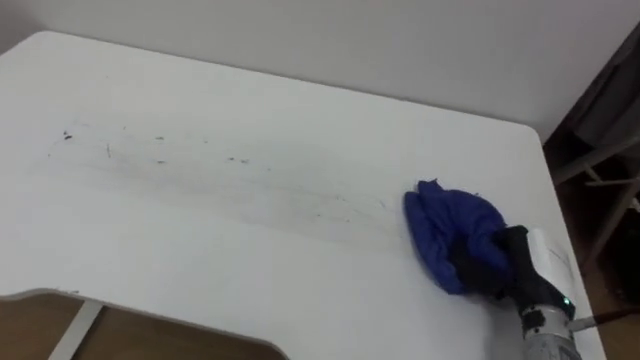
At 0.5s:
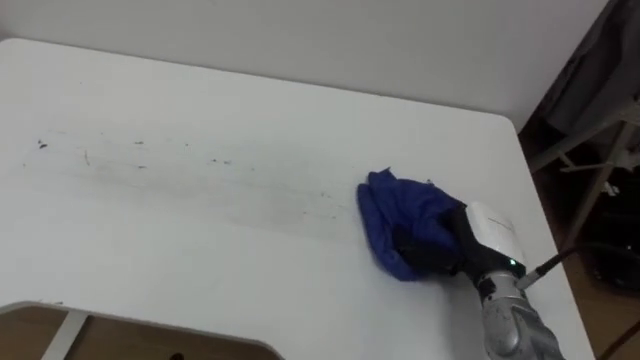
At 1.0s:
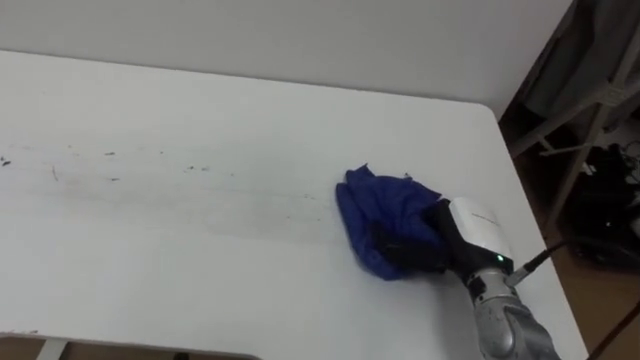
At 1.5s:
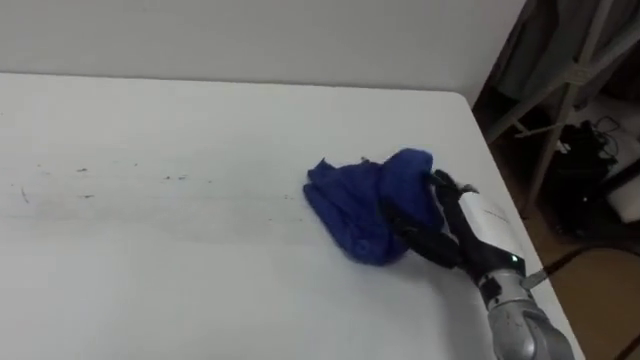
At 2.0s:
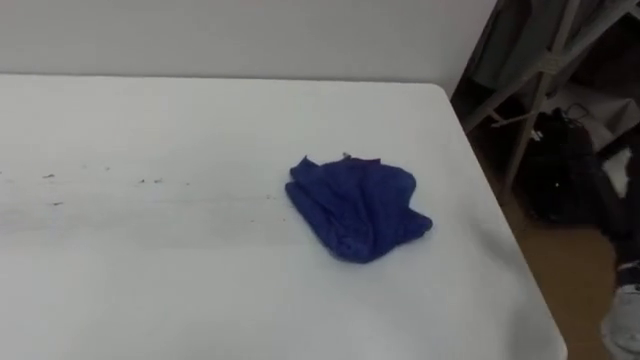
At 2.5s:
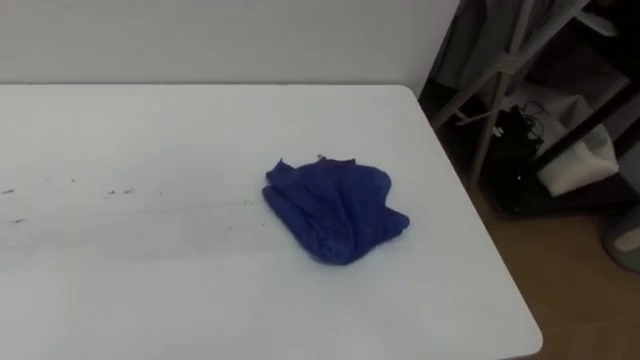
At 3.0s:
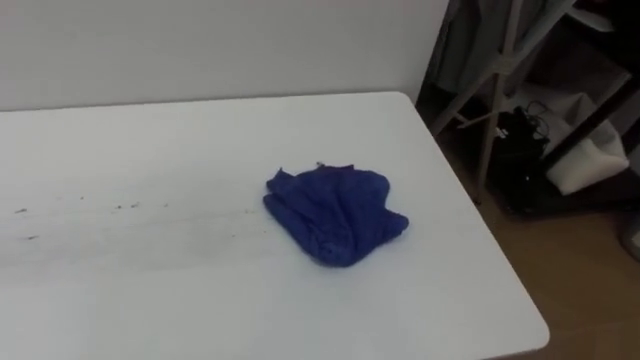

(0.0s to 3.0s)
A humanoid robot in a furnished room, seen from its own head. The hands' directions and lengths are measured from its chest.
Task of the whole recording: Wipe the blue pen marks off the table with the rag.
0.0s - 1.5s: The right hand shifts approximately 5 cm to the left, and opens up.

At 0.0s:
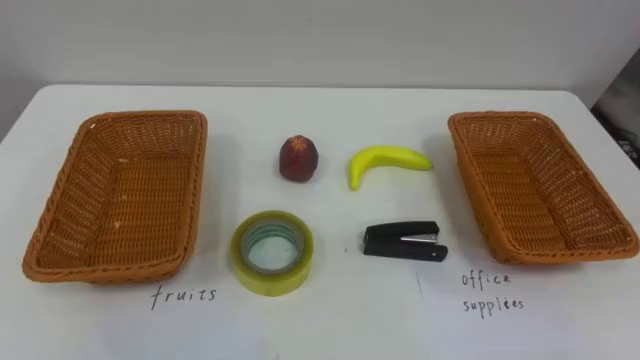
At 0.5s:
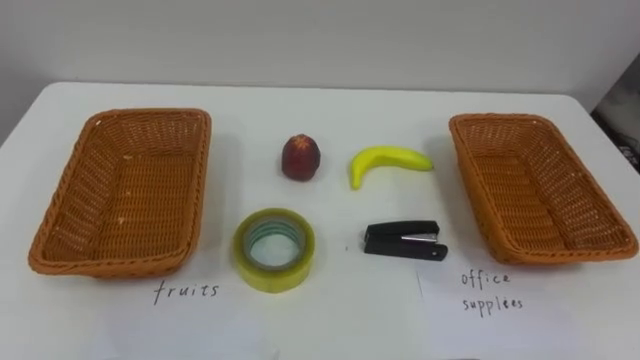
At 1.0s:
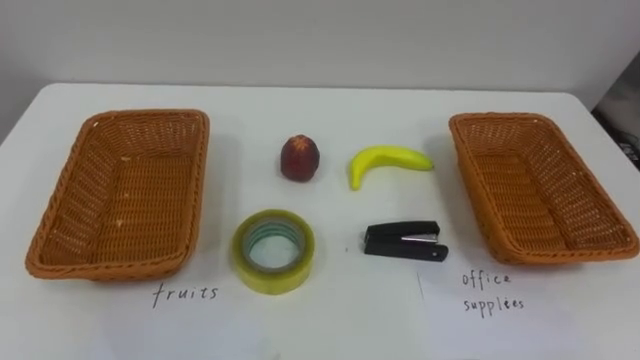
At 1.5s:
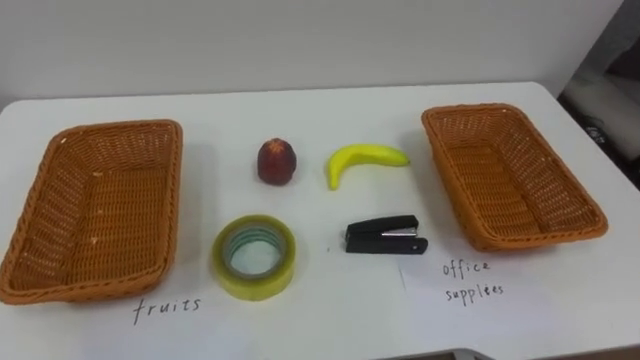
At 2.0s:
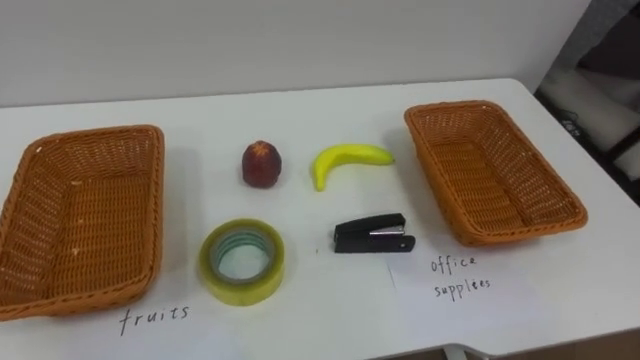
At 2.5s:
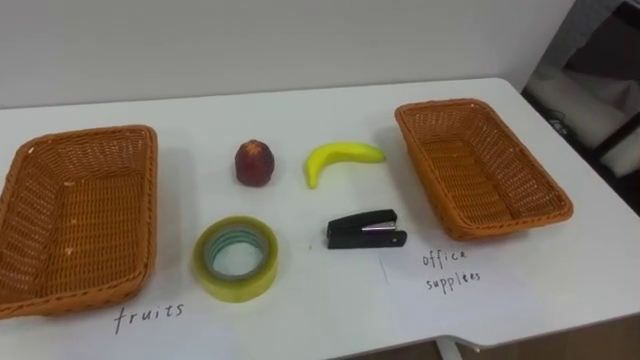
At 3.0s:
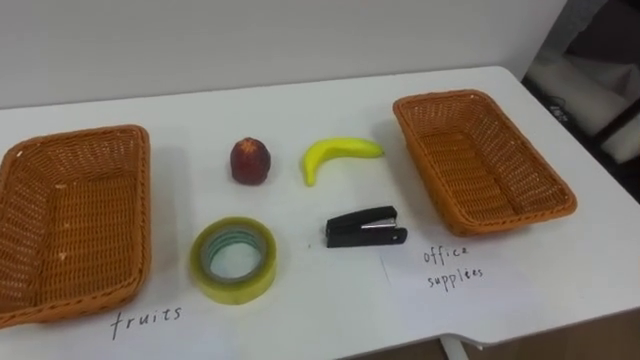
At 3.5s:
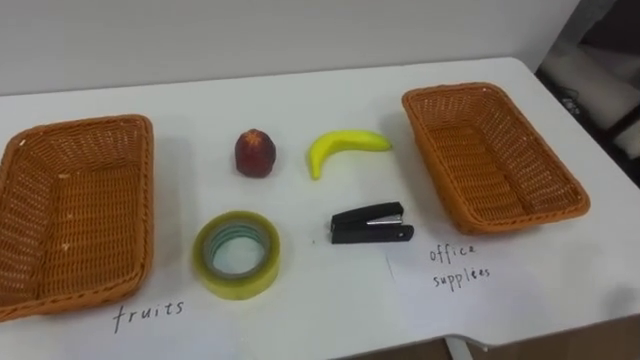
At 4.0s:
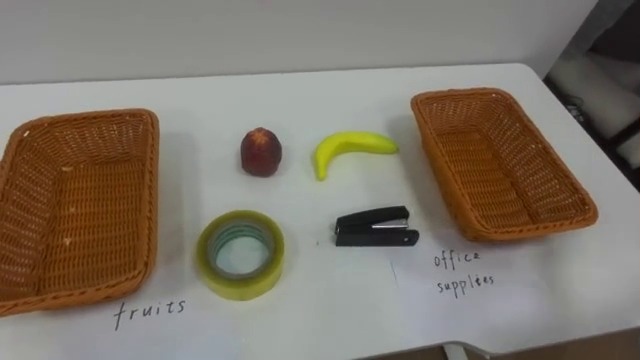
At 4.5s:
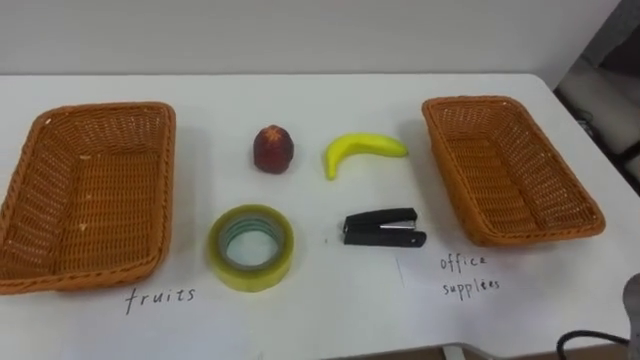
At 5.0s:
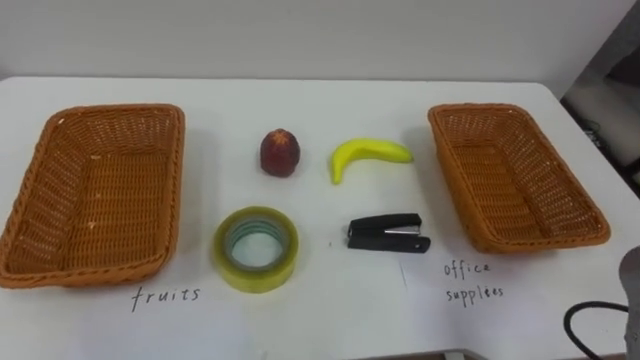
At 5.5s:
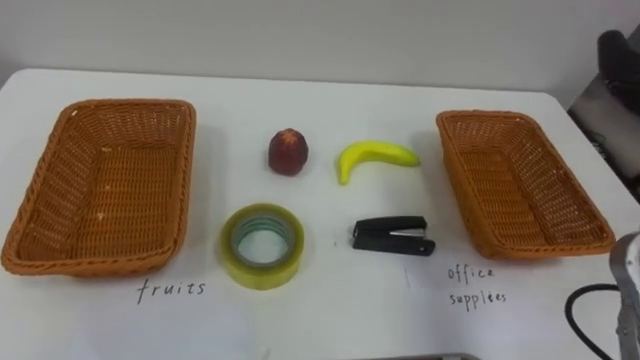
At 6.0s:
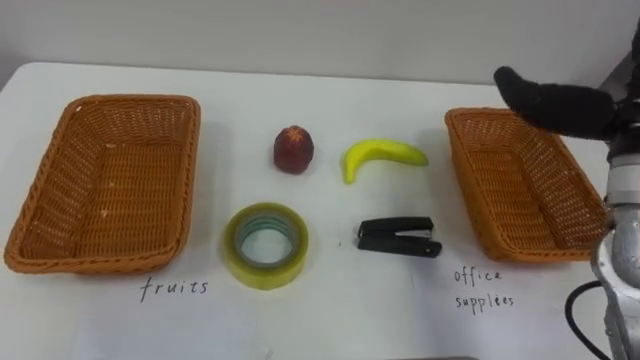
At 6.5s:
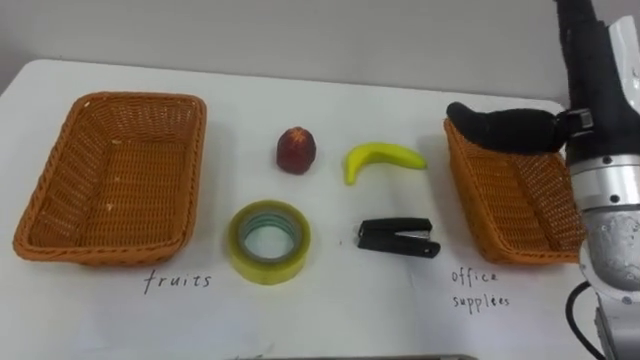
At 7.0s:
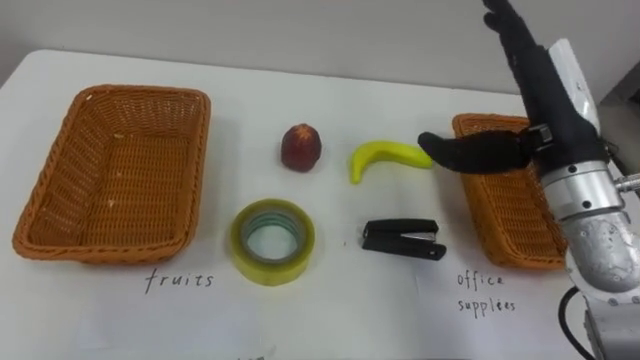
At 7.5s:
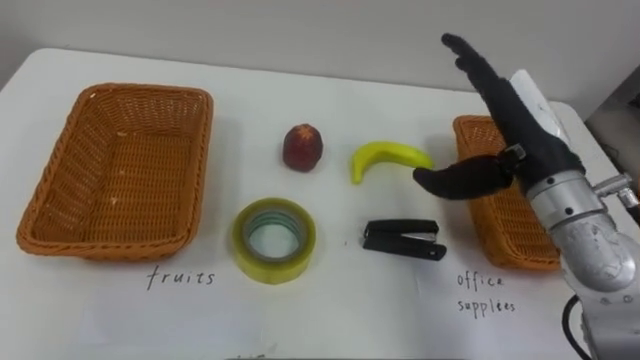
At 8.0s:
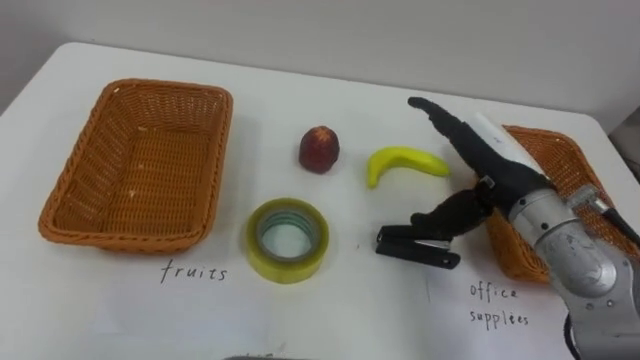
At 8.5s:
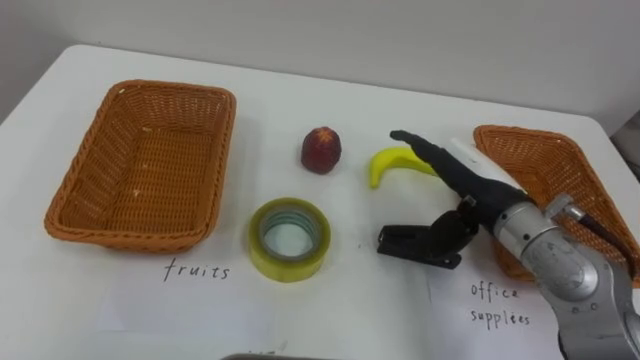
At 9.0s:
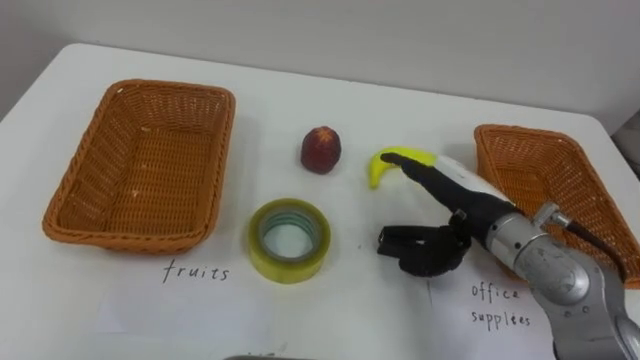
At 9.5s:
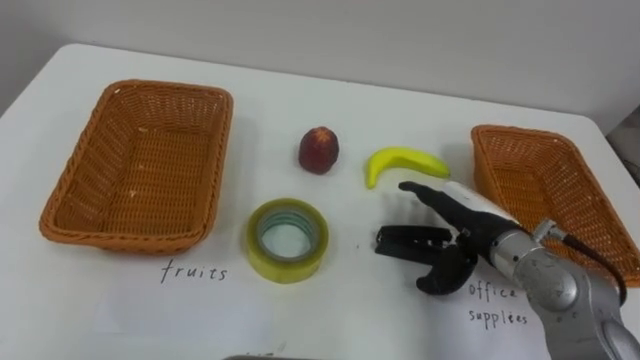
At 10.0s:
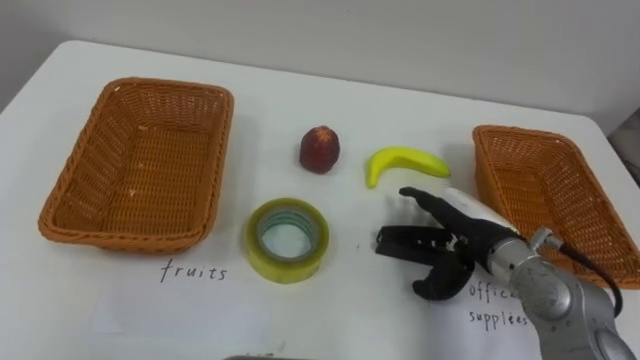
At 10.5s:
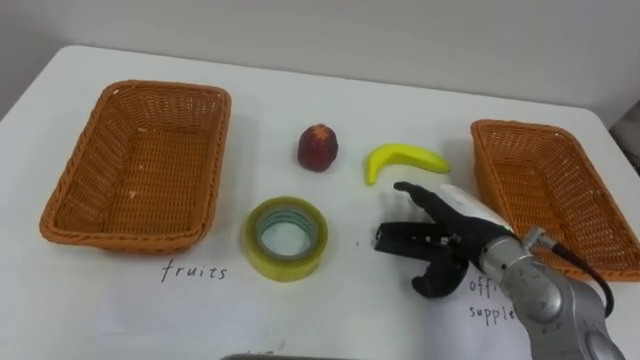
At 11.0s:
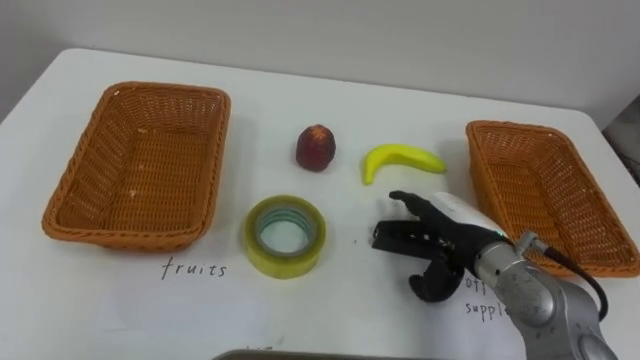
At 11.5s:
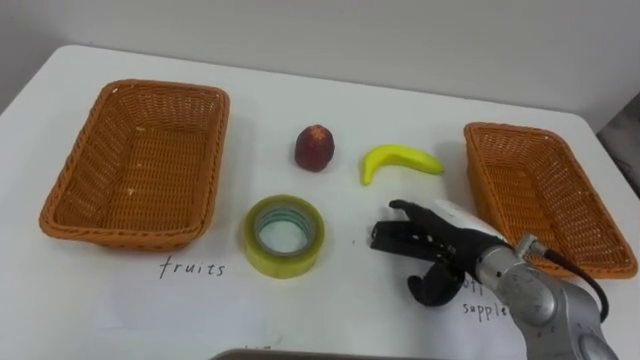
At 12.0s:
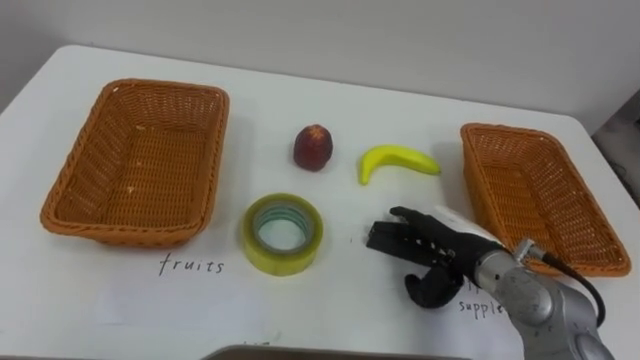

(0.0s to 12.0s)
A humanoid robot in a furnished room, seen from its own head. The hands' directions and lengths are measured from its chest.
Task of the whole recording: Separate the items on the table and place them into the two baskets.
6.0s - 8.0s: The right hand heads downward and to the left, covering approximately 15 cm.
8.0s - 10.0s: The right hand travels downward by about 10 cm.

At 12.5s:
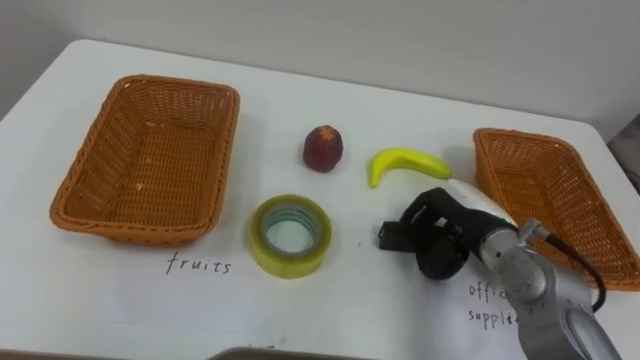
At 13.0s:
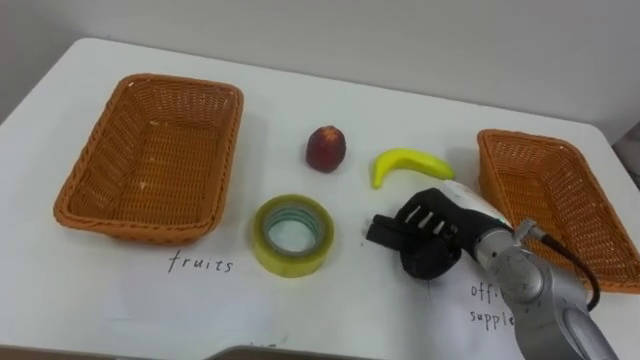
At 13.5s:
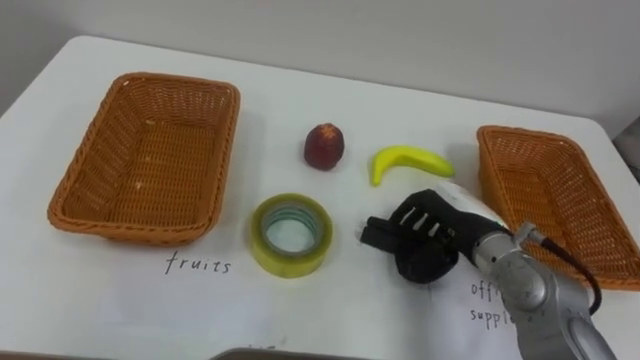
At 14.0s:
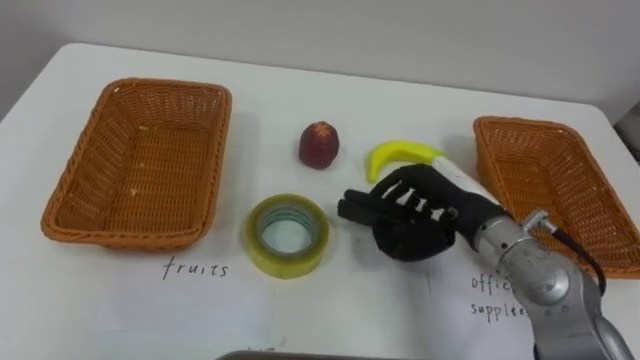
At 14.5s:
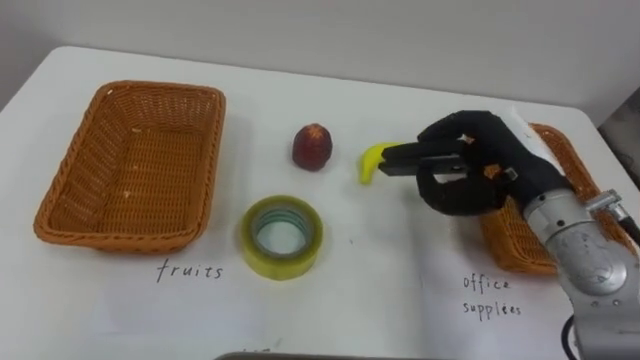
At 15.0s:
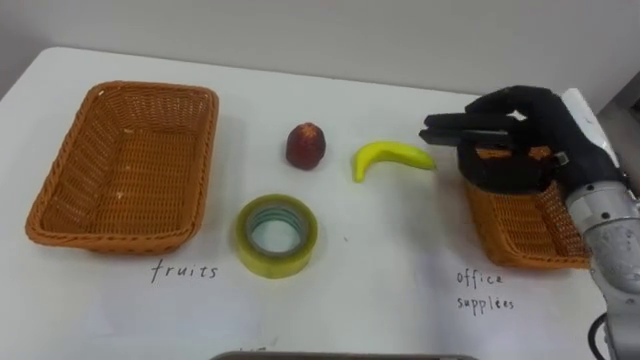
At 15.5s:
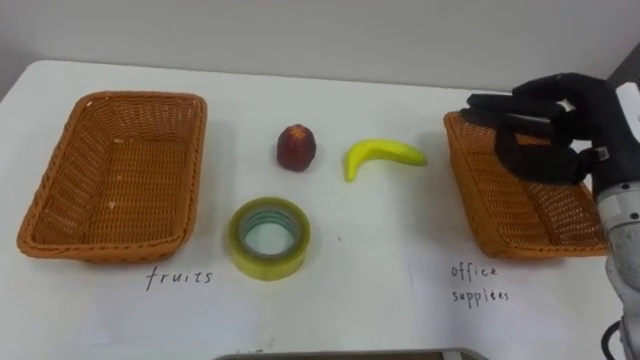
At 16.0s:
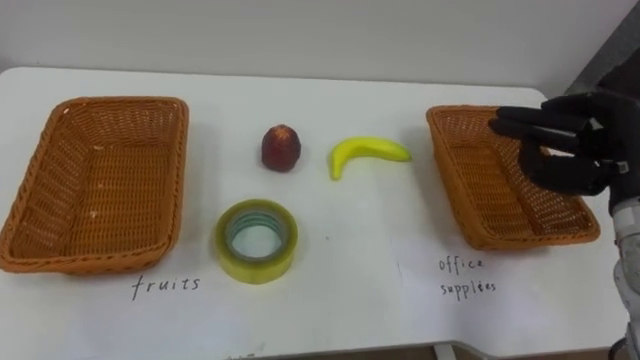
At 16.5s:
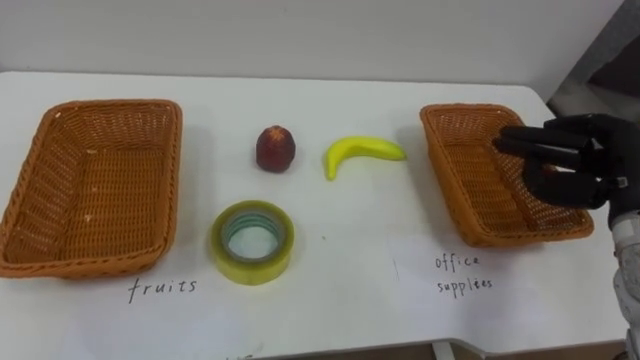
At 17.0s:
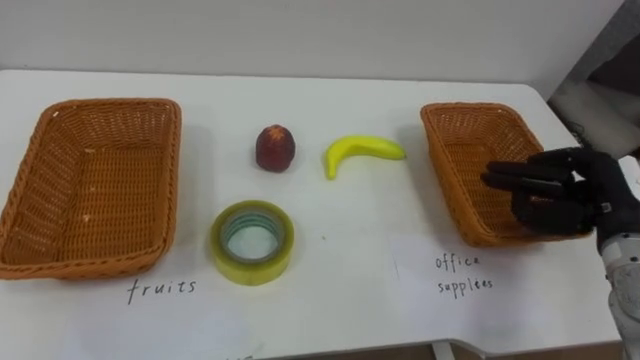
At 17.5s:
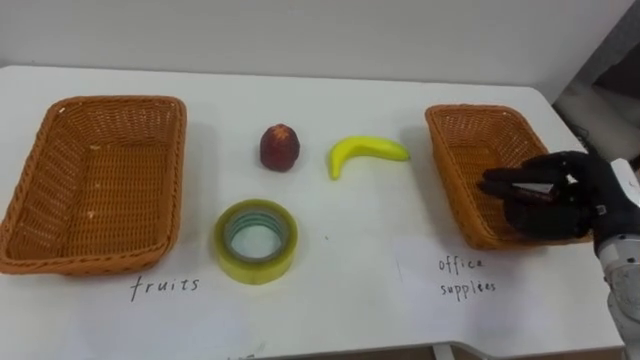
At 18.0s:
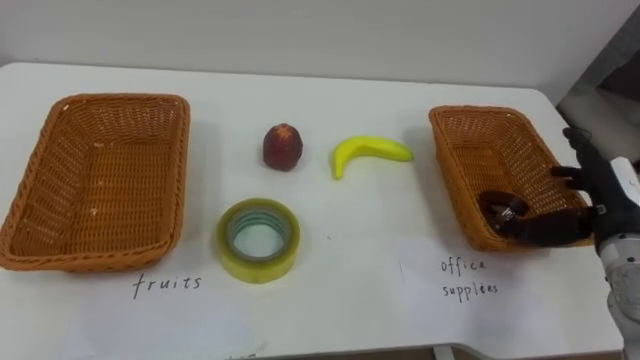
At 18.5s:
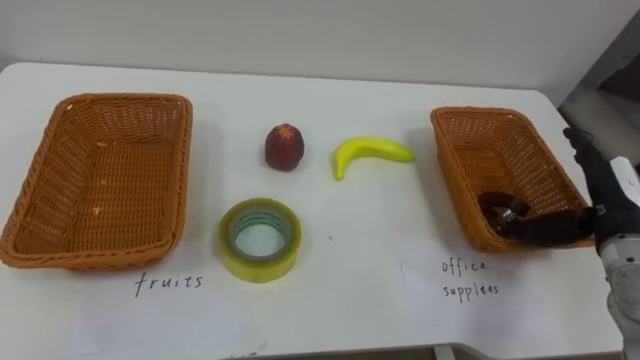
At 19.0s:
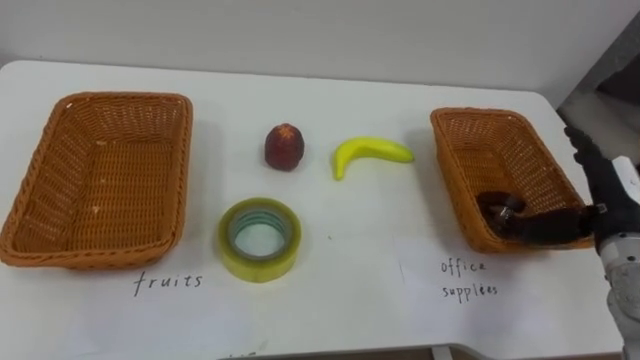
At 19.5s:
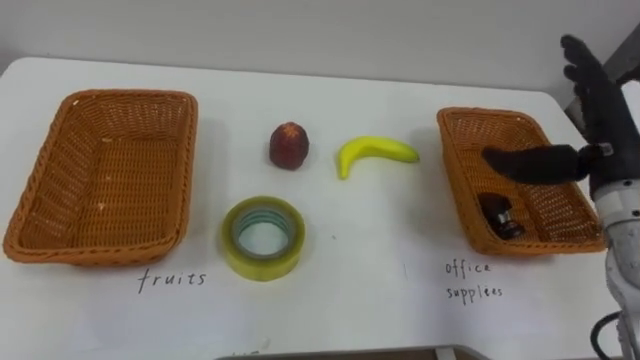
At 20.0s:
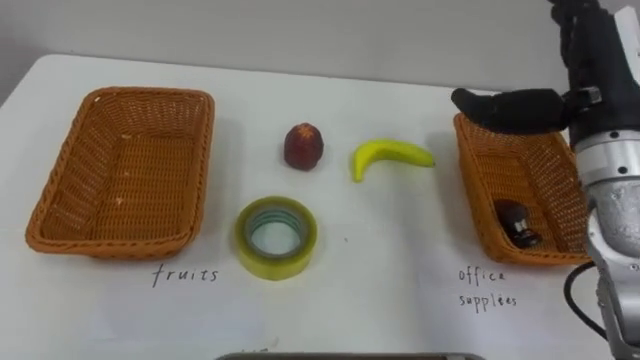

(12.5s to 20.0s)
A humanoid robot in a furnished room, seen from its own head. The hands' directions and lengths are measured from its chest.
Task of the whole recording: Separate the items on the table and place them into the two baskets.
12.5s - 14.5s: The right hand moves upward, roughly 10 cm.
14.5s - 16.5s: The right hand travels to the right by roughly 10 cm.
16.5s - 18.0s: The right hand opens.
18.0s - 20.0s: The right hand goes some 15 cm upward and to the left.
